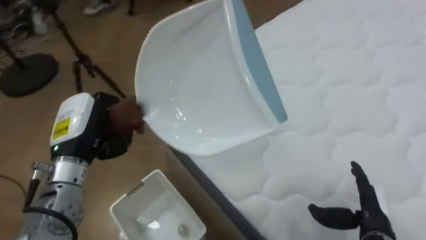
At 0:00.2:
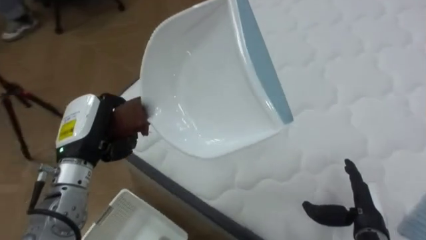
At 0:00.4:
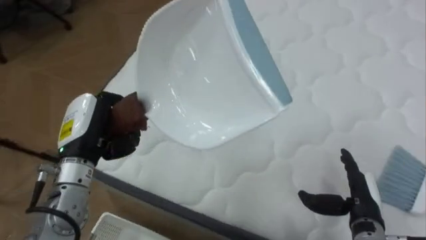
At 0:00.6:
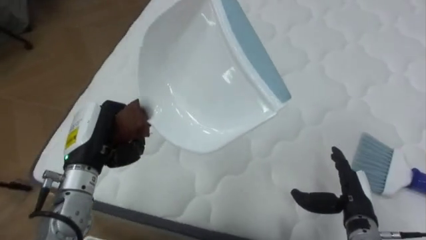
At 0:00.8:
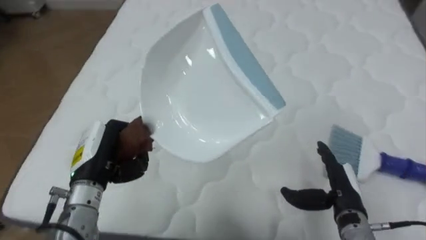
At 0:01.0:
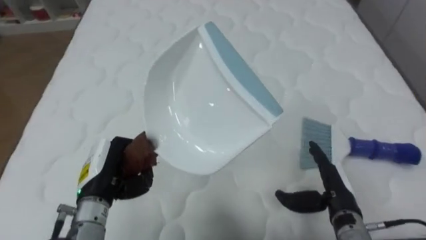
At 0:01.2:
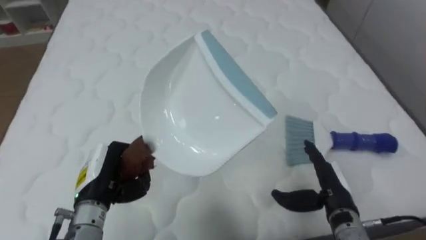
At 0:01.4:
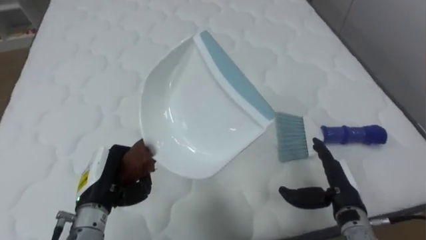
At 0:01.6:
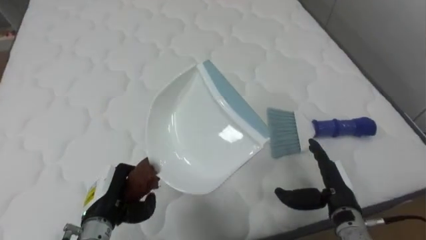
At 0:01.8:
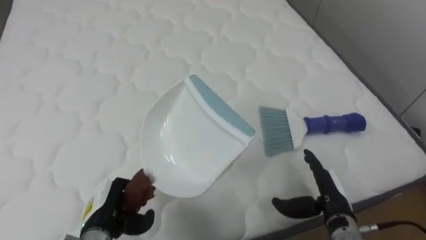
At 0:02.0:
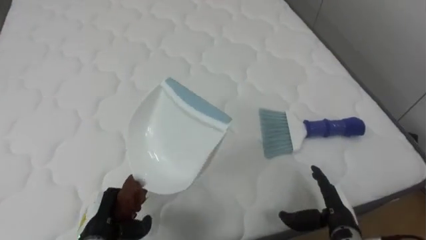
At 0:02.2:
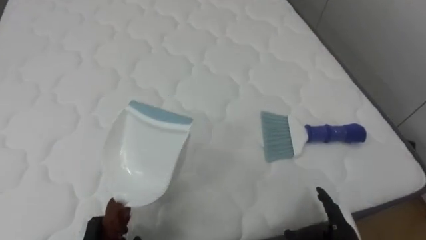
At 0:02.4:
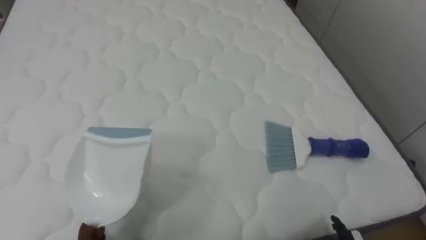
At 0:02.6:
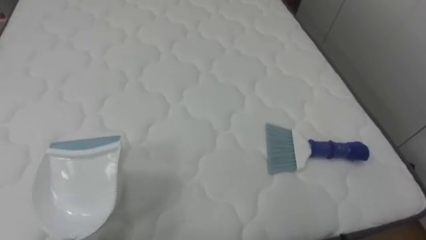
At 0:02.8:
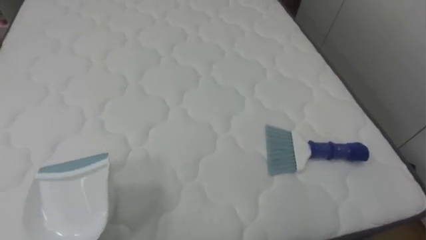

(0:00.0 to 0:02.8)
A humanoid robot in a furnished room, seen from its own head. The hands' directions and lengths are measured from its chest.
Task of the whole recording: Pick up the brush on your right and the dustpan on your left. Use the brush to sweep the crumpled paper on the bed into the dustpan, then turn left and empty it into the basket.
0:00.0 - 0:01.4: The robot's body swings approximately 60 degrees to its right. The left hand moves downward, approximately 10 cm. The right hand is displaced to the left by roughly 5 cm.

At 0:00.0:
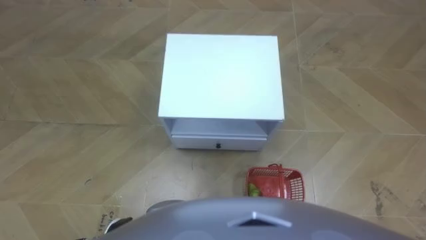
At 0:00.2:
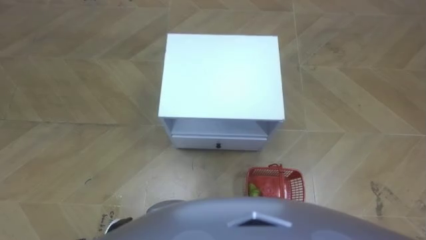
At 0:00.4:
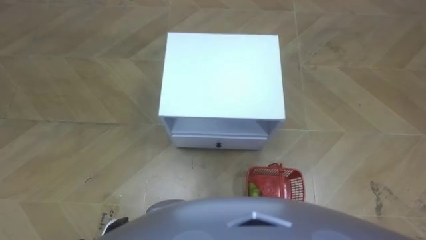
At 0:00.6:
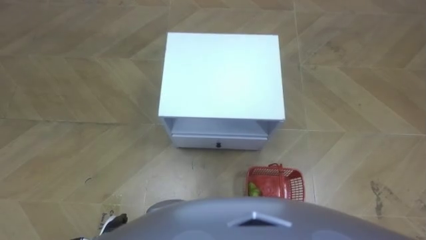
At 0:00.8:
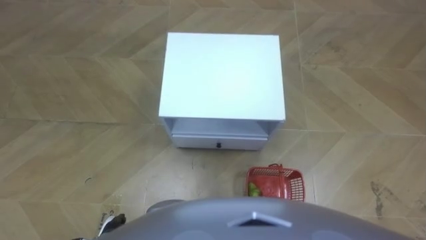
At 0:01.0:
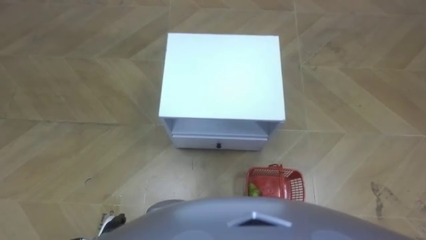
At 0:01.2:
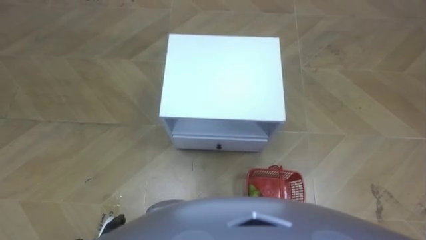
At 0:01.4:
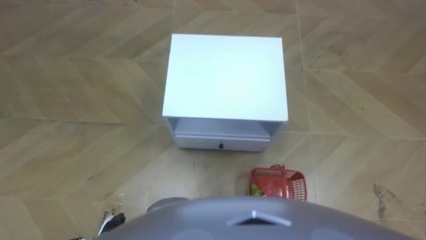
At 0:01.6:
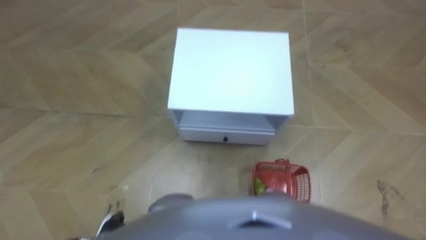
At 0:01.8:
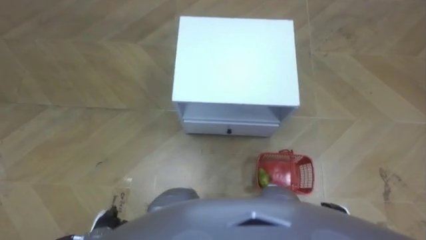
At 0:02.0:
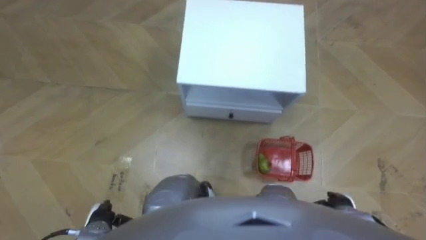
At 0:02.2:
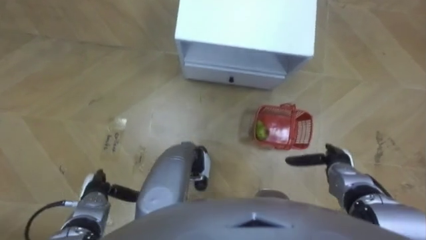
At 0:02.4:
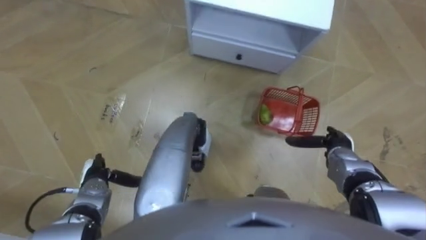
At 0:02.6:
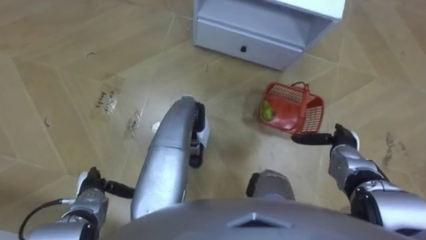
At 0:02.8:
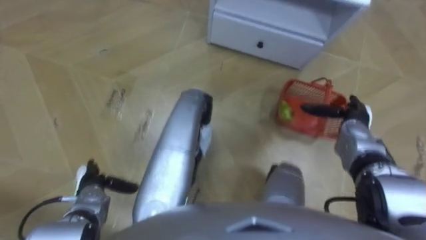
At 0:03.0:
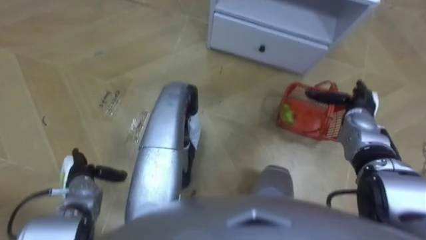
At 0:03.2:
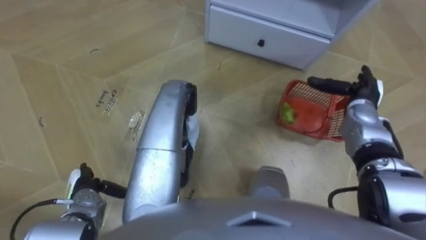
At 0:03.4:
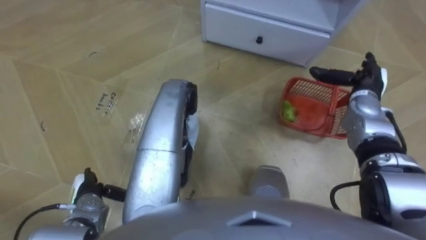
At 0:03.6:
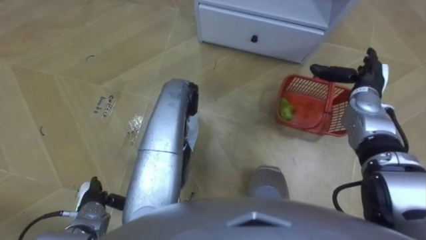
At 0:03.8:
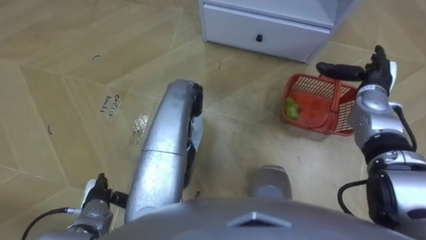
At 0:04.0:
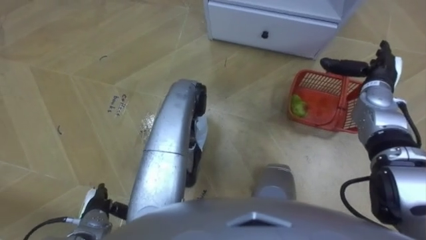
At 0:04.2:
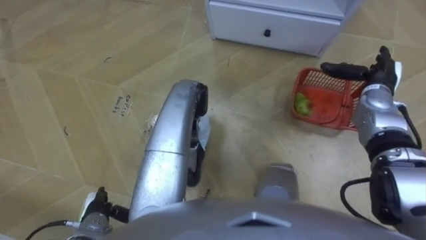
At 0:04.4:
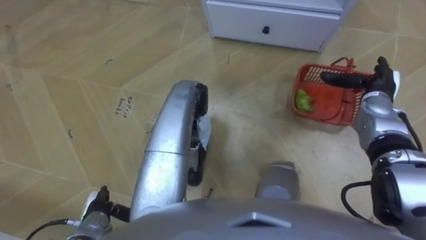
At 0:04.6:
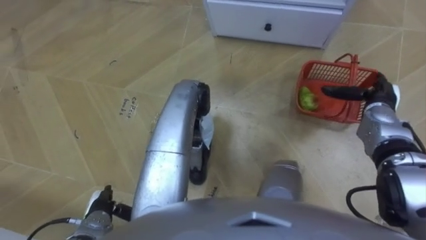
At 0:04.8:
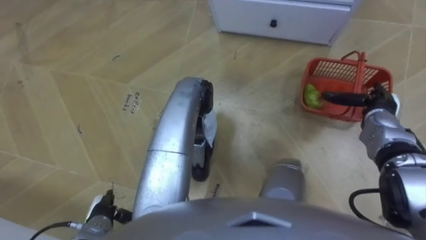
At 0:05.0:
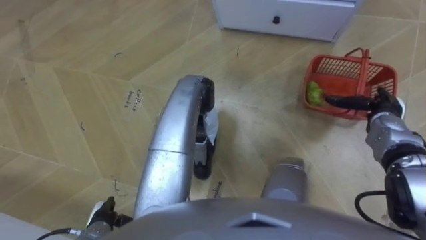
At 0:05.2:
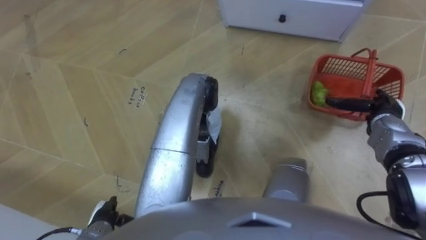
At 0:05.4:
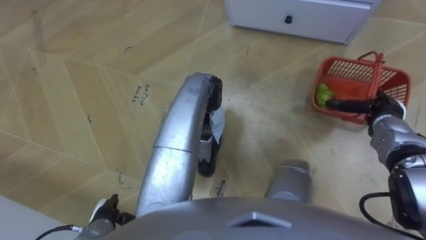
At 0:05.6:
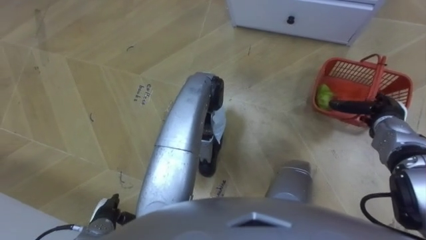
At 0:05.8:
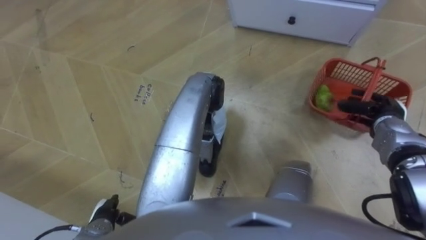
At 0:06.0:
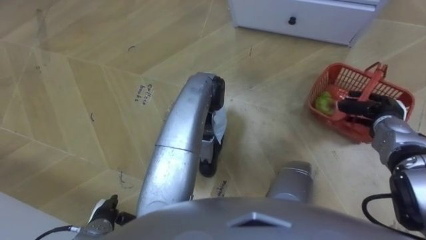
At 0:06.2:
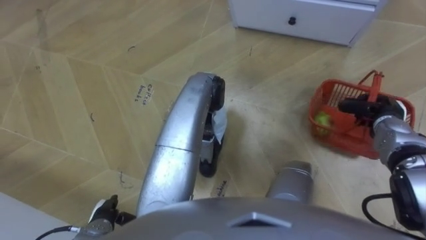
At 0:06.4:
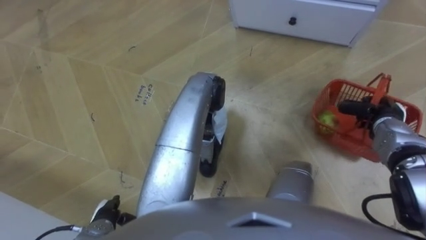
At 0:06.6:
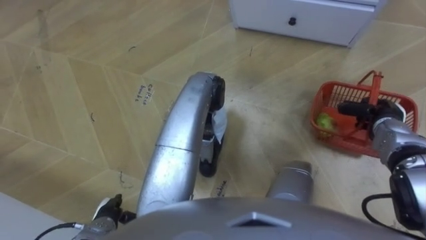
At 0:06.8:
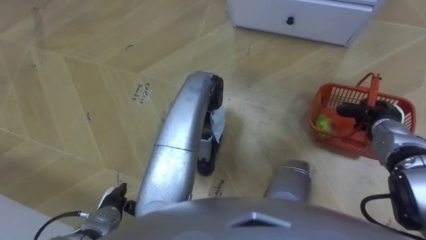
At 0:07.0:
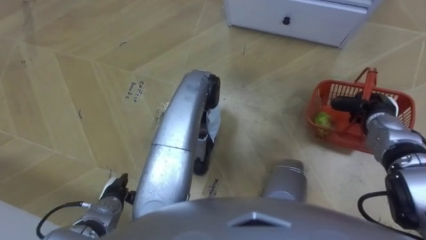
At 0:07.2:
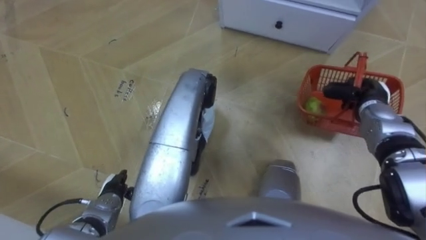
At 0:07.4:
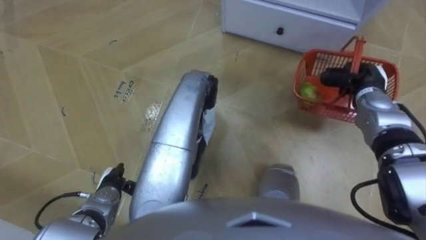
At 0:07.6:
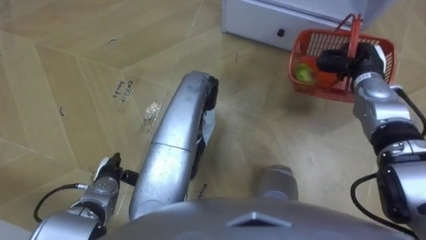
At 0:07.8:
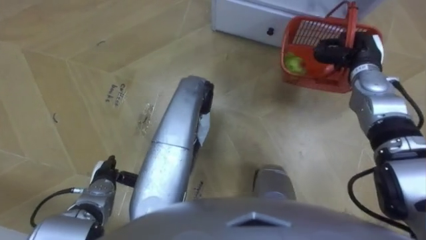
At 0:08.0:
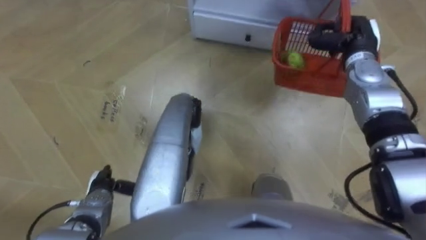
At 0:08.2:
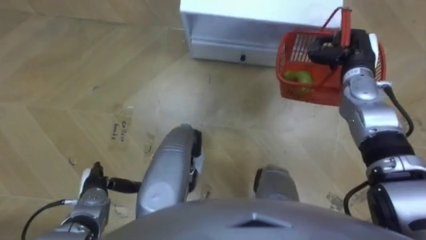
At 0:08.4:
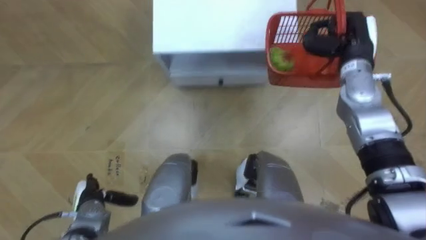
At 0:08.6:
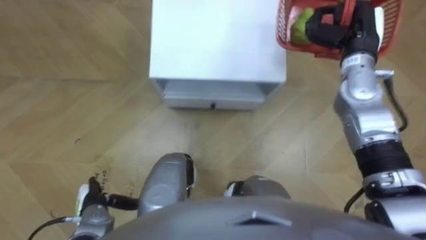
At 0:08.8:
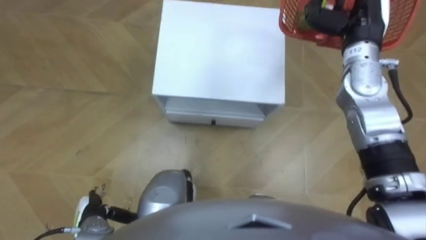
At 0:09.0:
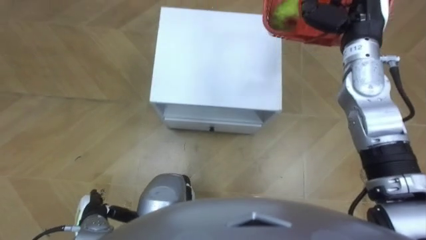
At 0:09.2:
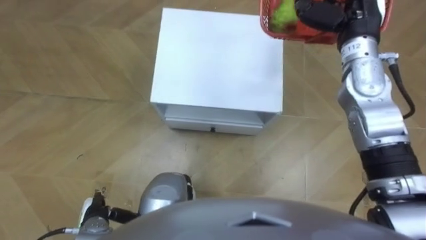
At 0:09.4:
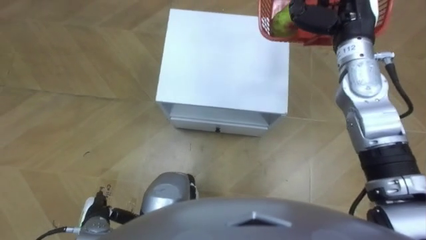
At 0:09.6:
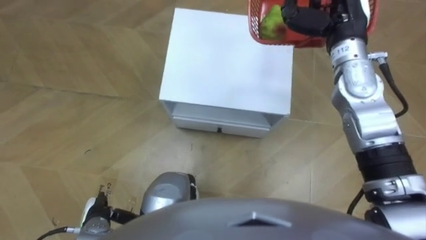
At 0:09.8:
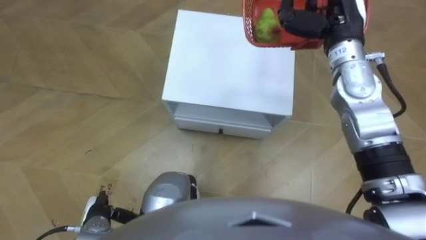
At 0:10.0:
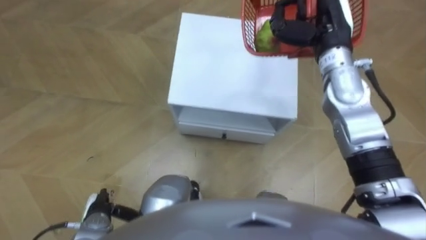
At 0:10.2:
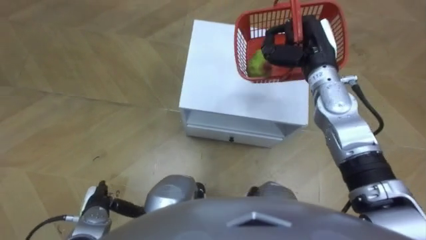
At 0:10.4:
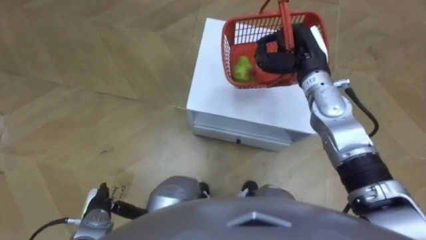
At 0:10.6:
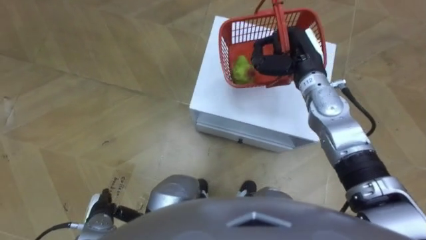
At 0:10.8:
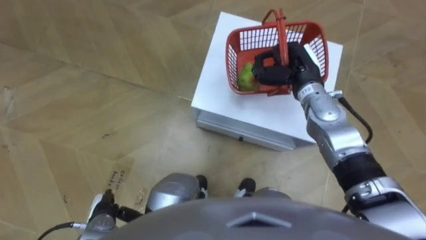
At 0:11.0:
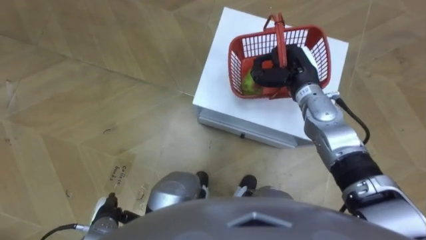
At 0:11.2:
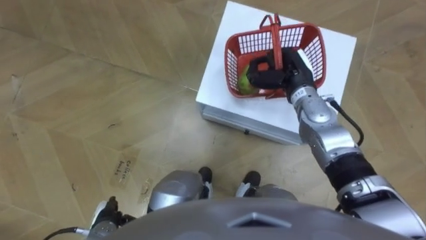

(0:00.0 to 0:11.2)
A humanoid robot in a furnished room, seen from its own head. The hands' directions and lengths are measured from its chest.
Task of the whole recording: Pick up the fruit basket from the floor and place it on the cabinet.
0:01.6 - 0:03.2: The left hand shifts some 10 cm forward and to the left; the right hand travels forward and upward by approximately 30 cm.
0:03.2 - 0:04.8: The left hand goes approximately 5 cm backward.
0:04.8 - 0:06.4: The right hand closes.
0:06.4 - 0:08.0: The left hand is displaced forward by roughly 10 cm. The right hand is displaced forward, upward and to the left by some 20 cm.
0:08.0 - 0:09.6: The left hand shifts approximately 5 cm backward; the right hand is displaced upward and to the left by some 10 cm.
0:09.6 - 0:11.2: The right hand shifts about 15 cm downward and to the left.

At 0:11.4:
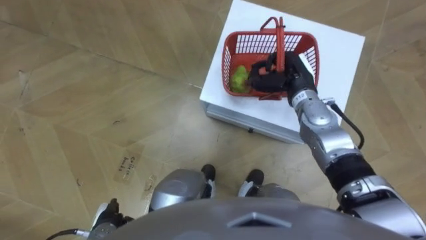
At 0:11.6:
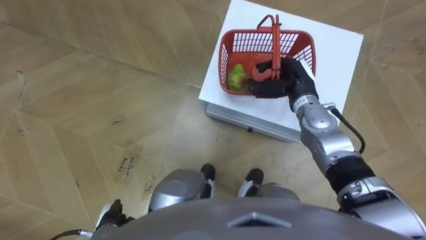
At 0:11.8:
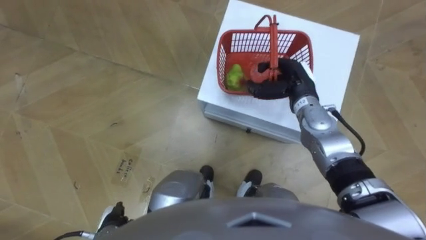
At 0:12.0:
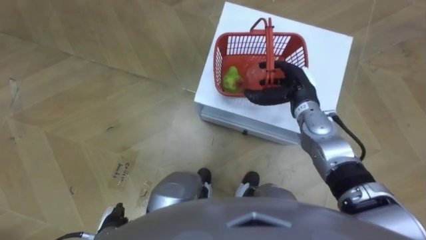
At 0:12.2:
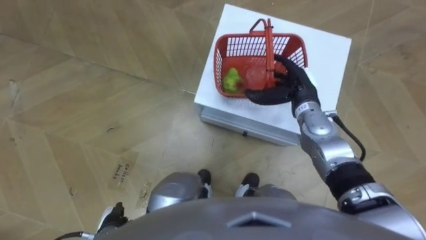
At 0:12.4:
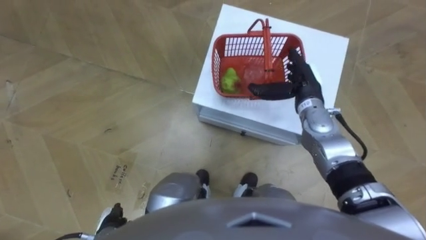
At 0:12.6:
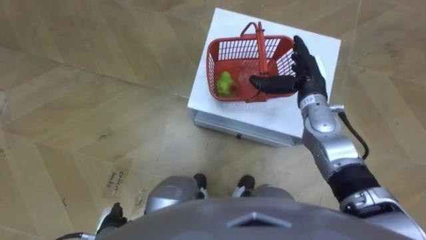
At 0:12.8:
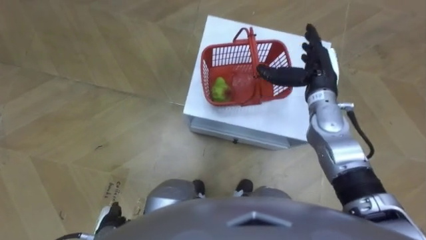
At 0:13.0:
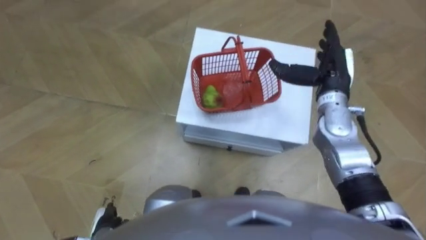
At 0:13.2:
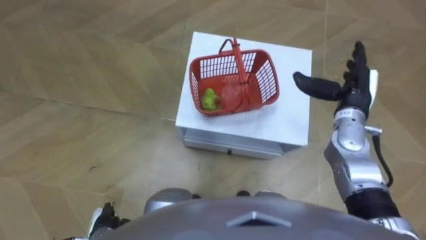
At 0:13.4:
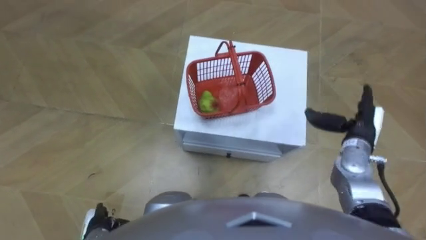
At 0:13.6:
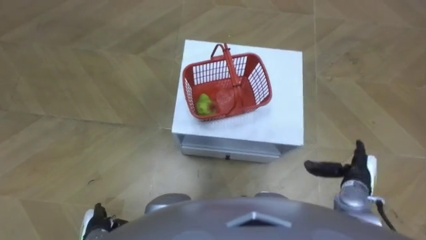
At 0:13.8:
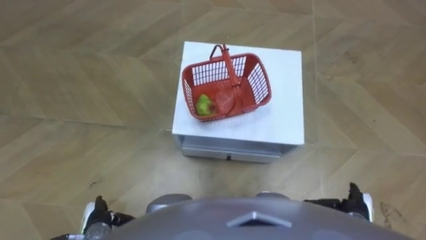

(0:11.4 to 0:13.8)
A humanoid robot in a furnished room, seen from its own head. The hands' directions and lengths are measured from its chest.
Task of the whole recording: Pick up the fruit basket from the floor and place it on the cabinet.
0:11.4 - 0:12.6: The right hand opens.
0:12.6 - 0:13.8: The right hand moves backward, downward and to the right, roughly 30 cm.
